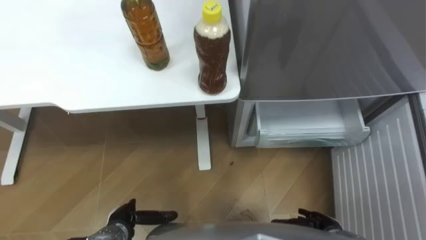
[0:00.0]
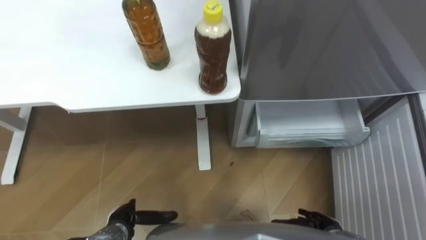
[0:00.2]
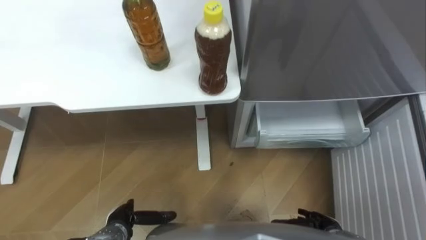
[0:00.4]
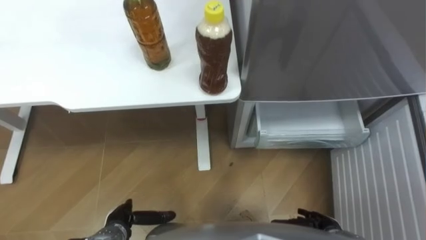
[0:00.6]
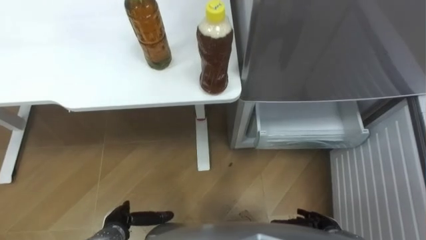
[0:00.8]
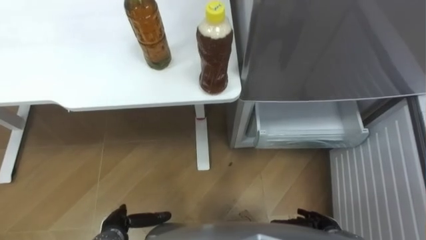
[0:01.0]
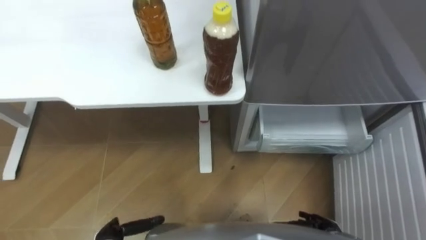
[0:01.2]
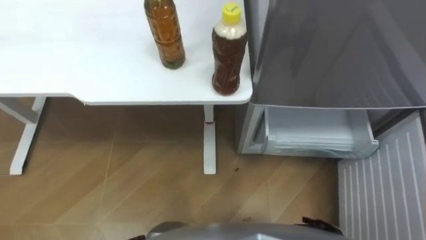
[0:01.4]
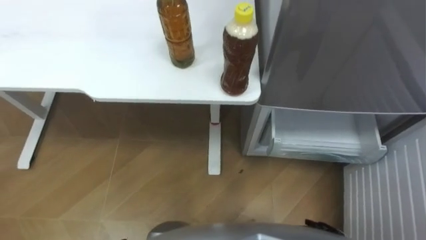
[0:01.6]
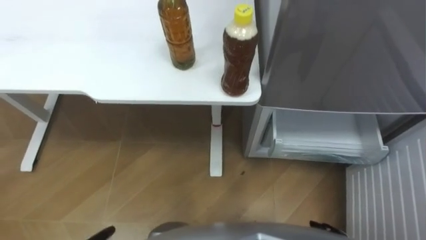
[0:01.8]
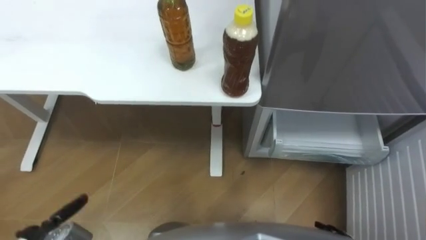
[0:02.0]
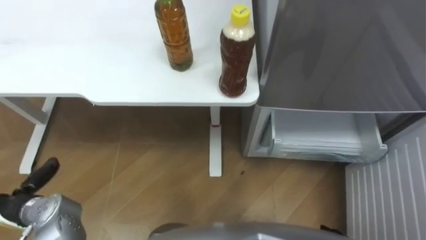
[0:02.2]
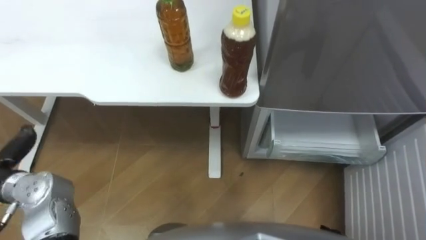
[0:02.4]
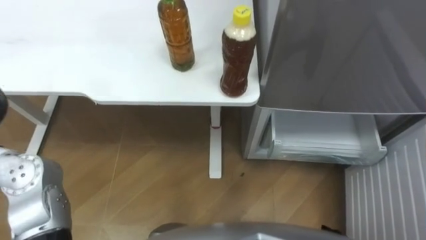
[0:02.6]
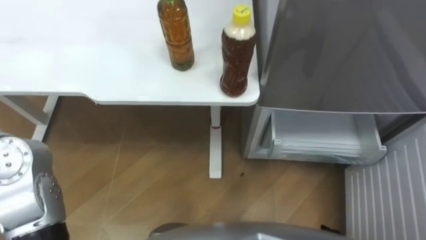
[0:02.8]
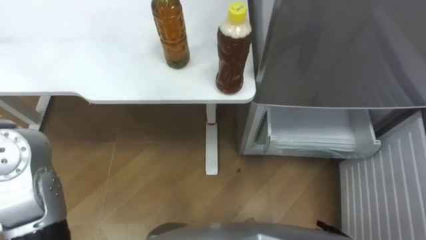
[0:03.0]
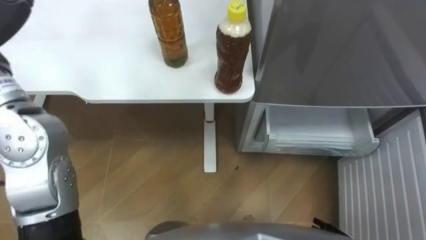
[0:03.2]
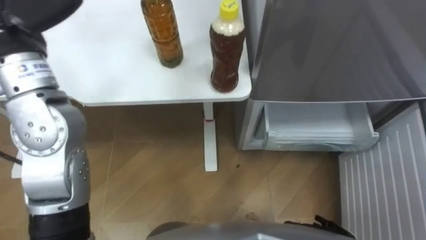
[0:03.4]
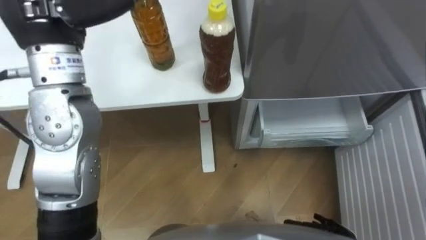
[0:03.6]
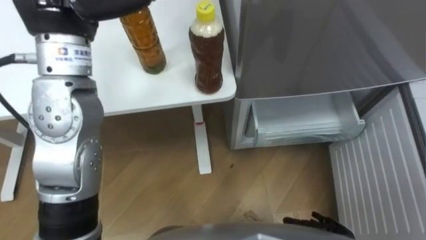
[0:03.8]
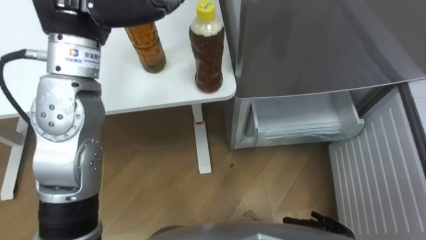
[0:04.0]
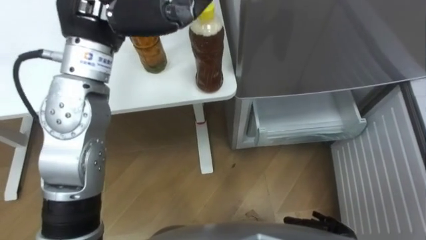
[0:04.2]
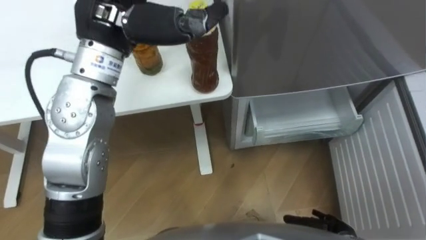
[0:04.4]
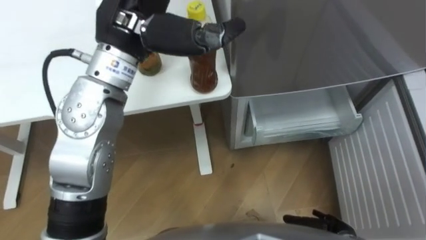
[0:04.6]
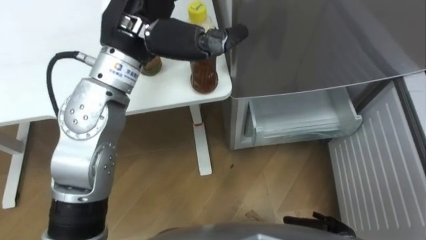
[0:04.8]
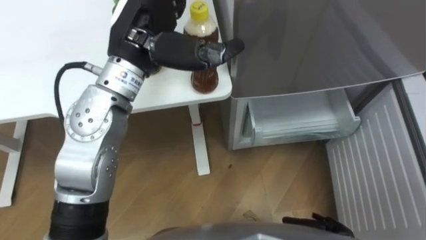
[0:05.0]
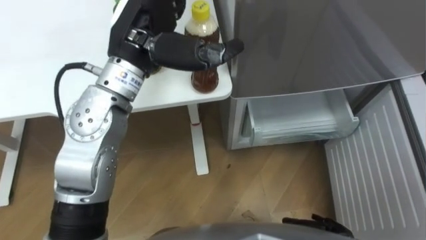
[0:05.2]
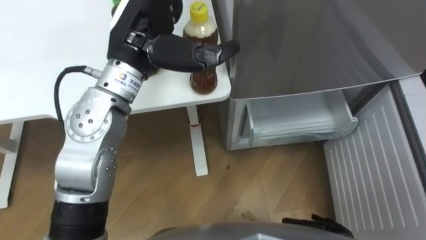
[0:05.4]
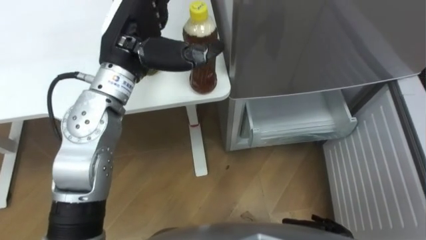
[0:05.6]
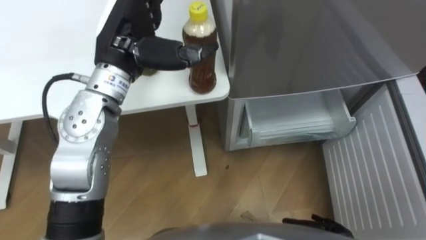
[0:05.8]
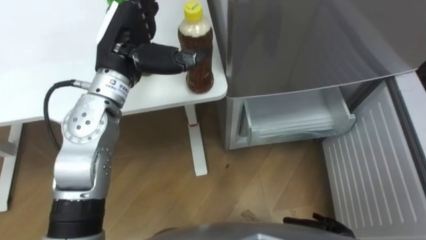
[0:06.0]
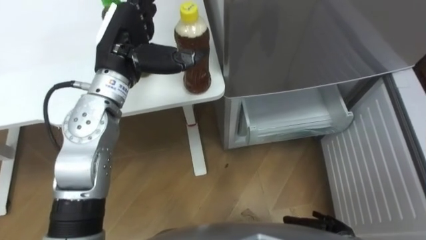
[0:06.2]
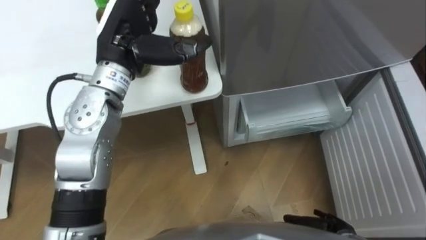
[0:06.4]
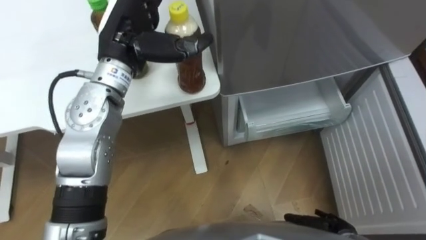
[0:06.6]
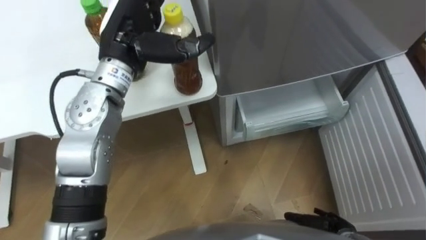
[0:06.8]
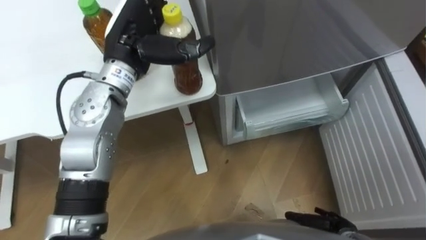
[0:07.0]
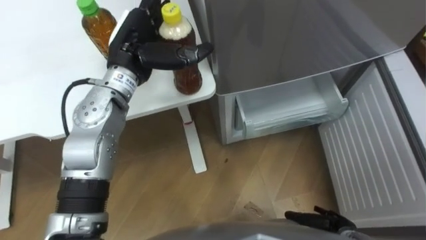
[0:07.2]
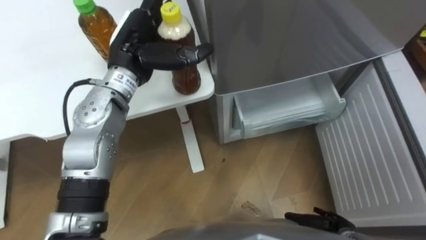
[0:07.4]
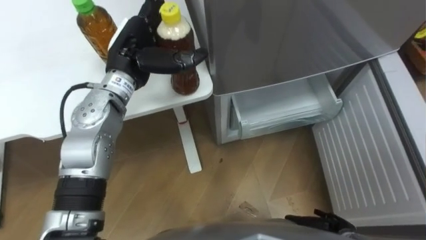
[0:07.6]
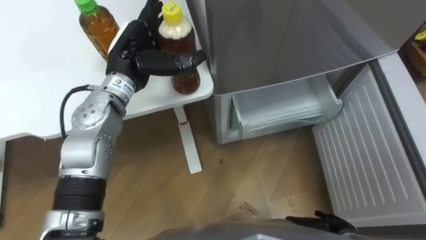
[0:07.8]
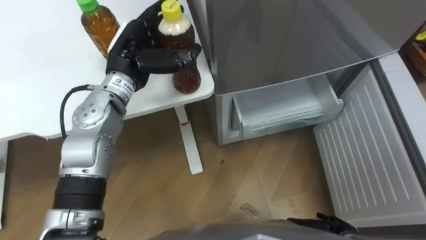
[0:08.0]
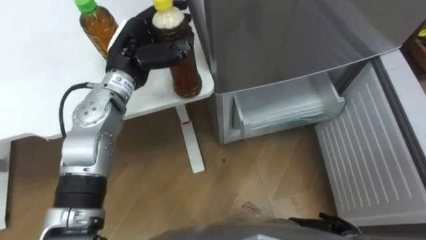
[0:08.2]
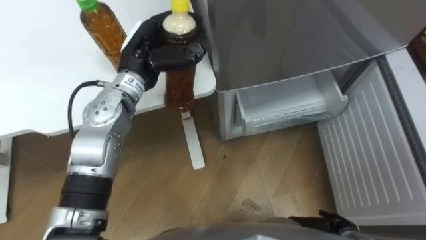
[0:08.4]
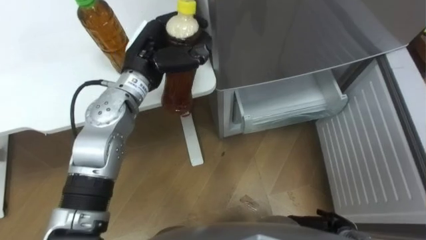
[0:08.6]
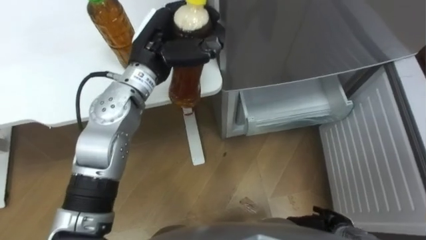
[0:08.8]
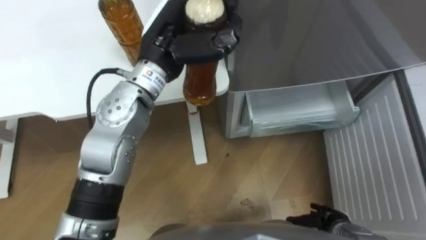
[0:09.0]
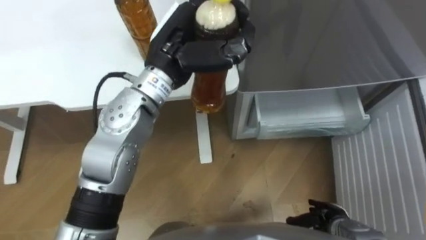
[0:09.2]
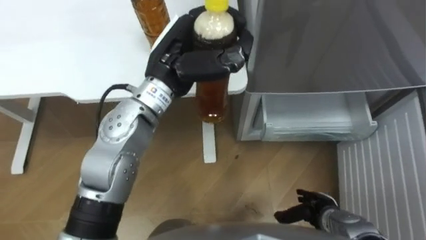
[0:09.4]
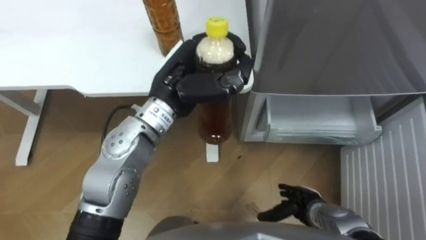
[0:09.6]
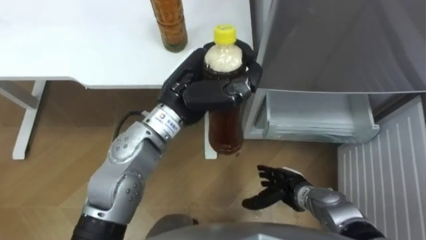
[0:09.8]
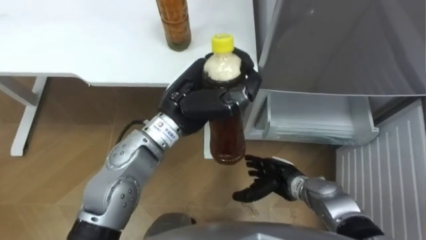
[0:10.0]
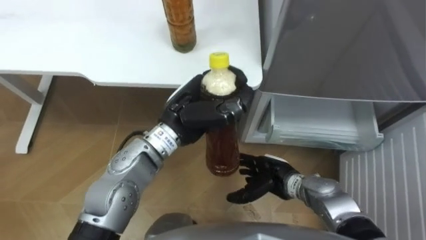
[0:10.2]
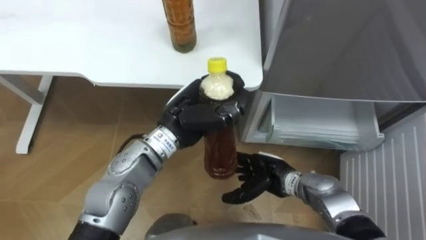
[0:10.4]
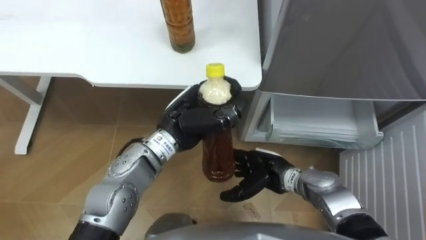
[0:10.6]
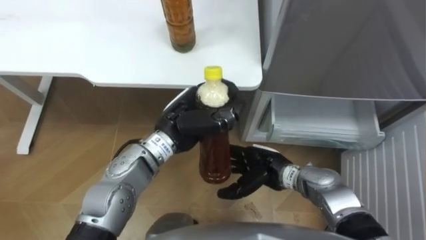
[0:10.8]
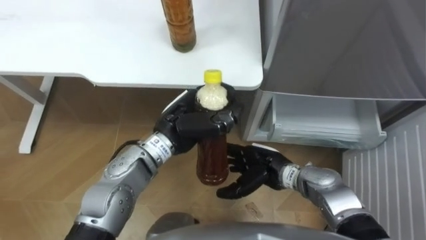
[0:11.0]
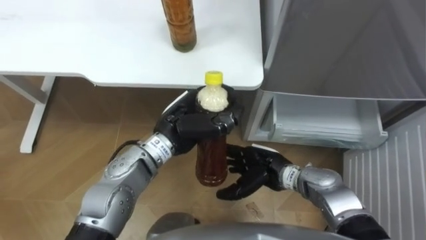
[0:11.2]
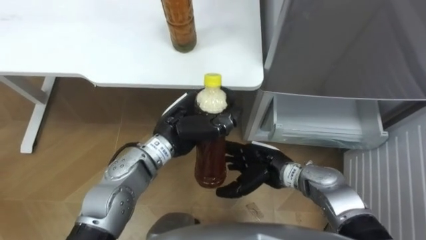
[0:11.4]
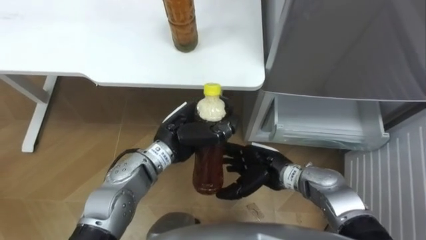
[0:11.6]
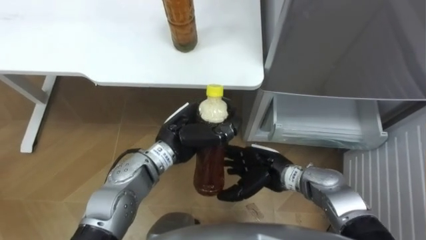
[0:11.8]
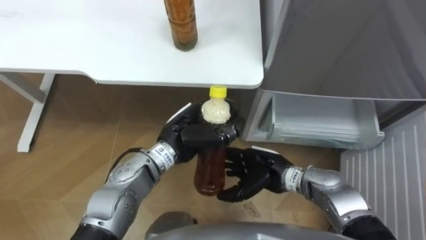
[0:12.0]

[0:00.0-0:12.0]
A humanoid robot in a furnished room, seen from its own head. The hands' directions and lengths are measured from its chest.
Task of the whole recording: Place the drink on the table on the bottom shelf of the refrigerator, then close the drawer and the refrigerator door.
0:04.4 to 0:06.0: The left hand heads downward, covering about 10 cm.
0:06.0 to 0:07.6: The left hand moves roughly 5 cm.
0:07.6 to 0:09.0: The left hand moves to the right, roughly 5 cm, and closes.
0:09.0 to 0:10.4: The left hand moves downward and backward, about 10 cm. The right hand heads to the left, forward and upward, covering about 20 cm.
0:10.4 to 0:12.0: The left hand travels downward by roughly 5 cm.

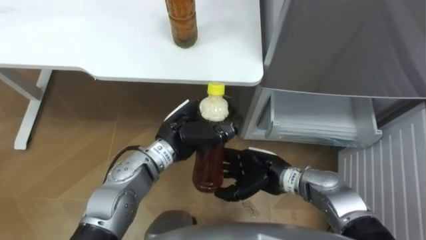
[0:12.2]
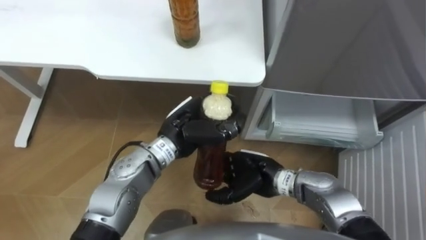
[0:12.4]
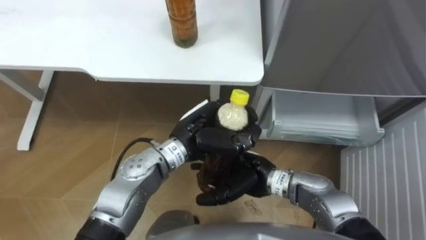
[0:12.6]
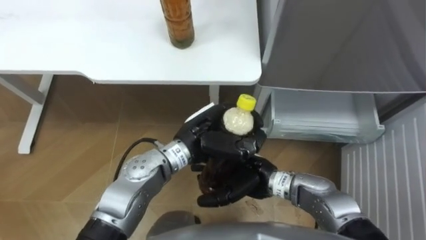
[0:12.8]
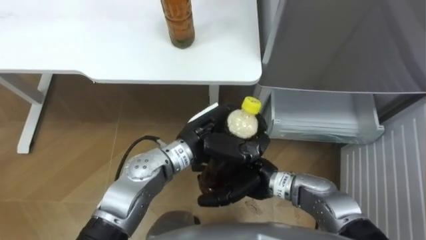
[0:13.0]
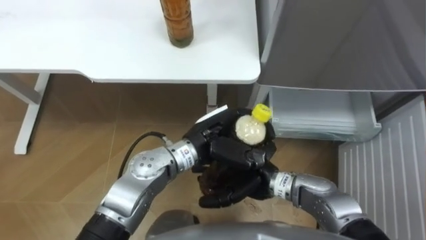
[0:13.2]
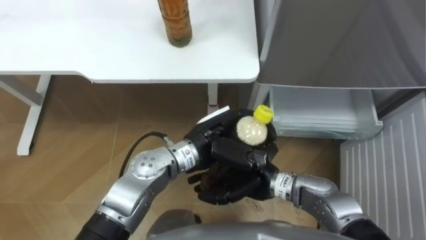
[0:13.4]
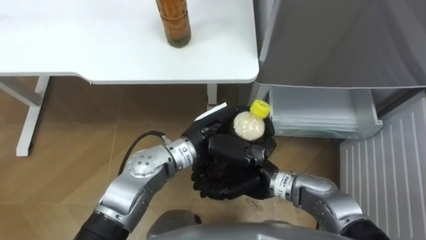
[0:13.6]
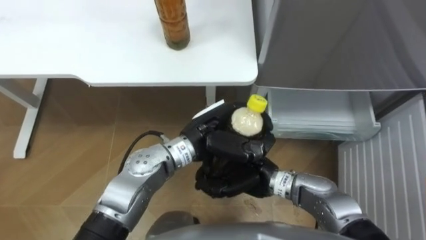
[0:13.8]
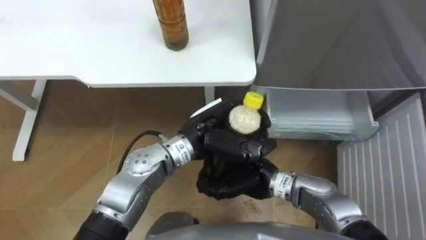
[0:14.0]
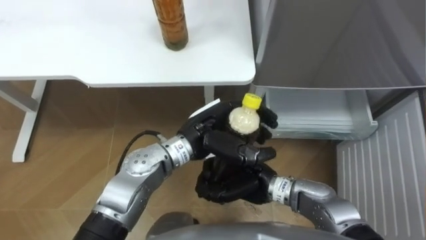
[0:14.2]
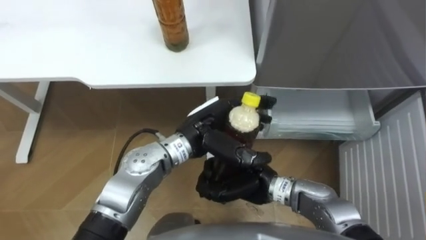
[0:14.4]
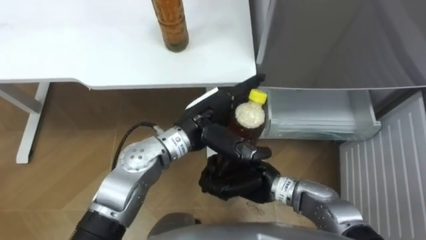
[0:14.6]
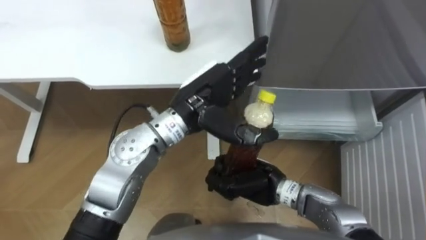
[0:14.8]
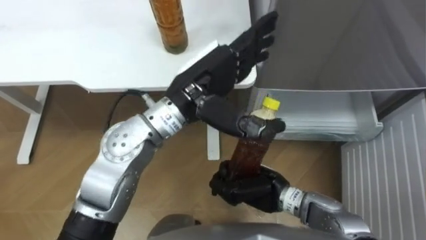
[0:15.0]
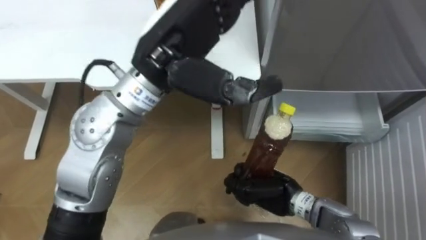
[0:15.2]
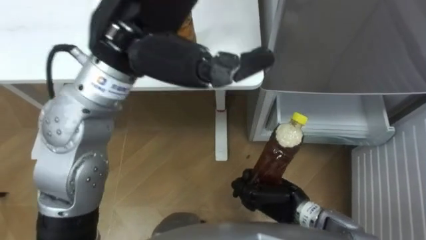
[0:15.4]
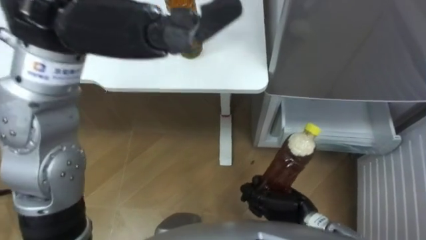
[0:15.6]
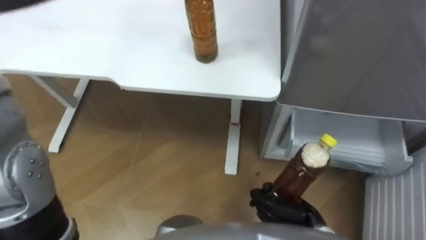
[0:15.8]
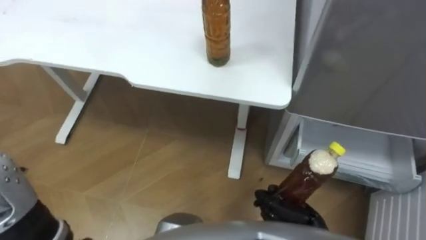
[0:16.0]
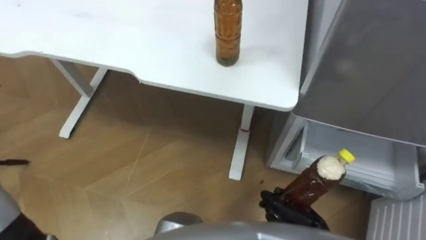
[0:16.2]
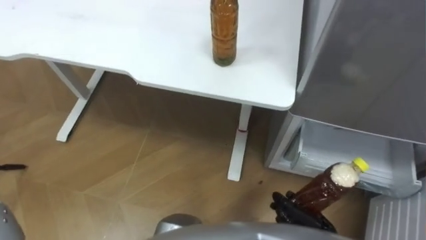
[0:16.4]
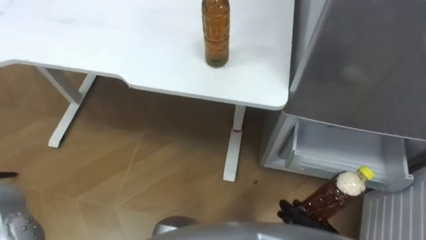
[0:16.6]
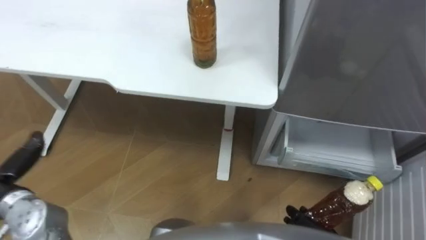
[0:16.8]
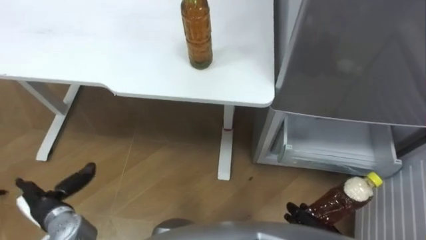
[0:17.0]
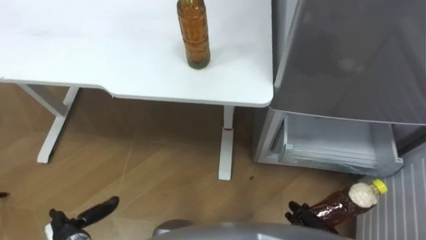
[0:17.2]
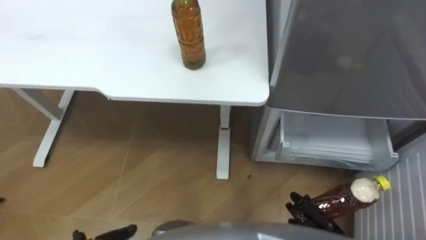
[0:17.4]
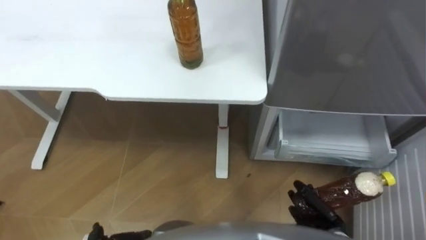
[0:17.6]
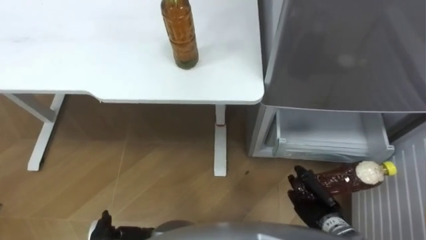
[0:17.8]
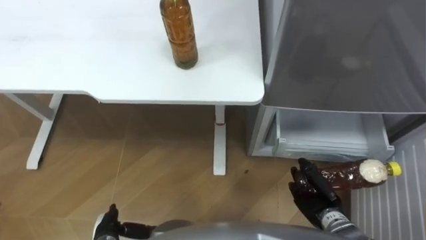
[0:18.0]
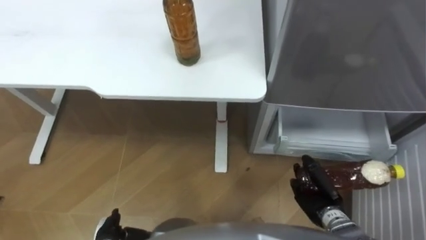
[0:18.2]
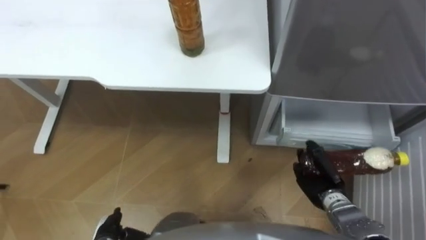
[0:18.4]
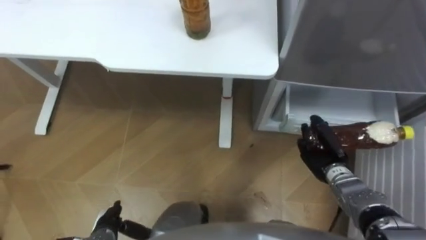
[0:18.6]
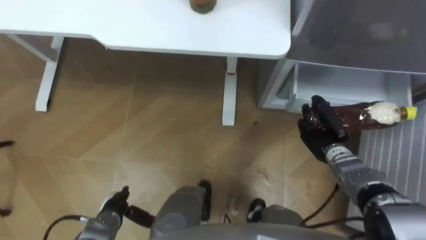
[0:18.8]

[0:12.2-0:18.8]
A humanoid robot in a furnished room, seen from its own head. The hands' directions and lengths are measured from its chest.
Task of the whole recording: Place the drink on the table on the bottom shelf of the refrigerator, then close the drawer and the refrigerator door.
0:12.2 to 0:13.8: The left hand shifts by about 5 cm. The right hand closes up.
0:13.8 to 0:15.4: The right hand moves to the right and downward, roughly 10 cm; the left hand travels upward by approximately 25 cm, and opens up.
